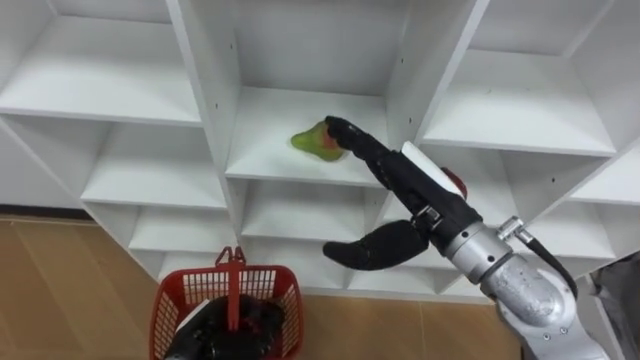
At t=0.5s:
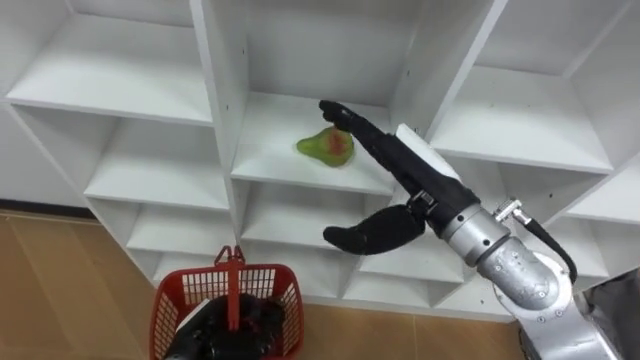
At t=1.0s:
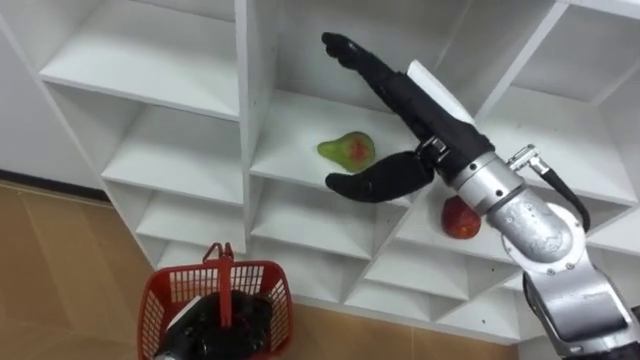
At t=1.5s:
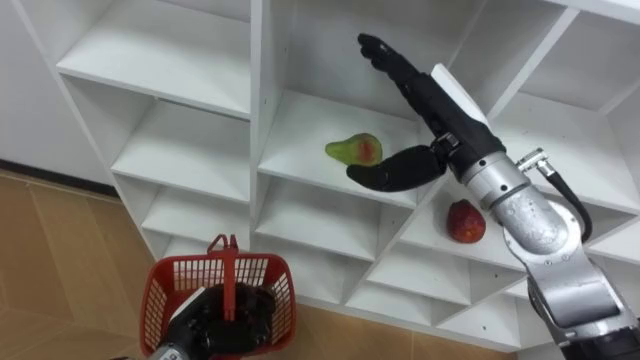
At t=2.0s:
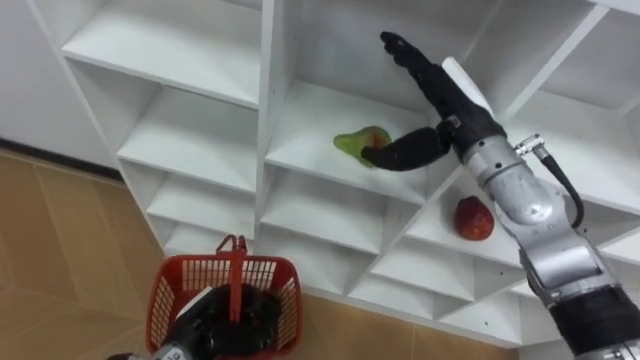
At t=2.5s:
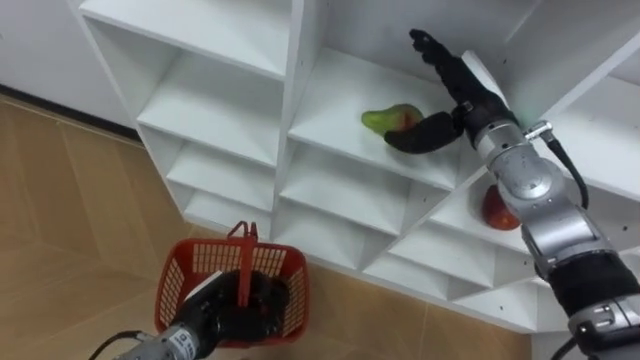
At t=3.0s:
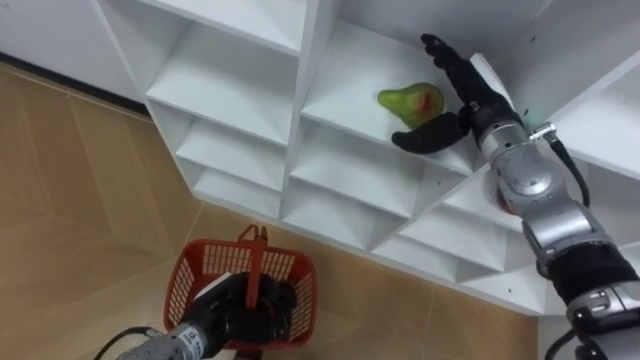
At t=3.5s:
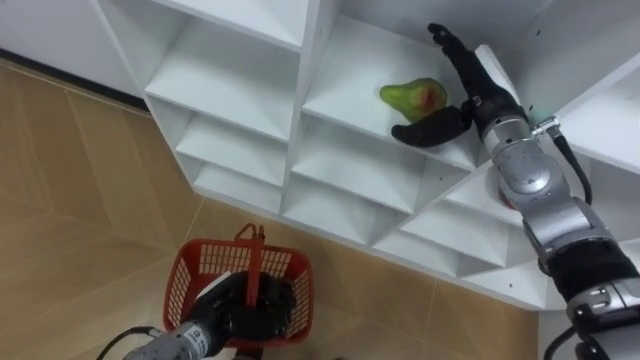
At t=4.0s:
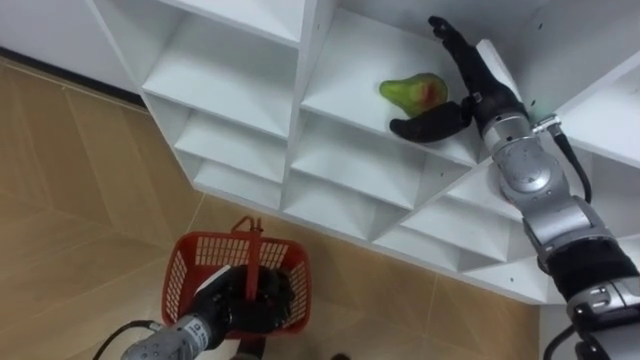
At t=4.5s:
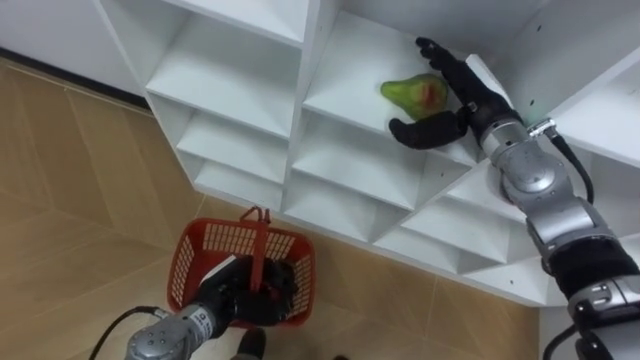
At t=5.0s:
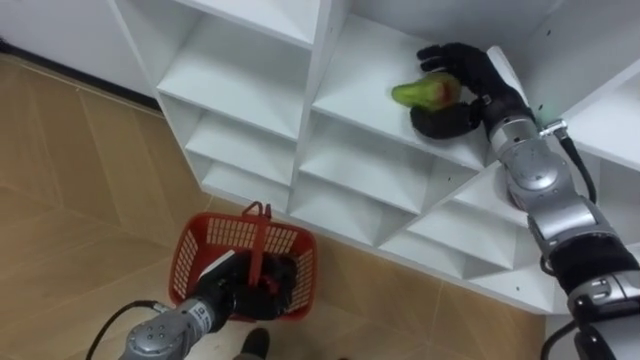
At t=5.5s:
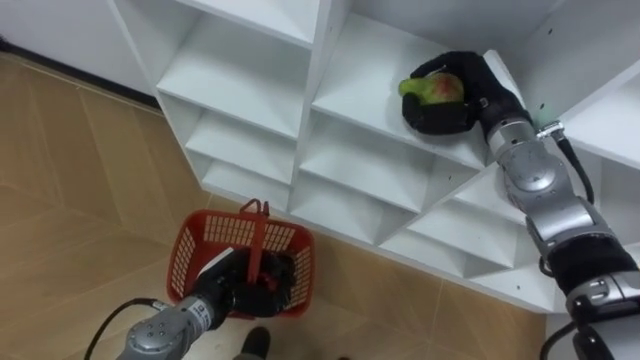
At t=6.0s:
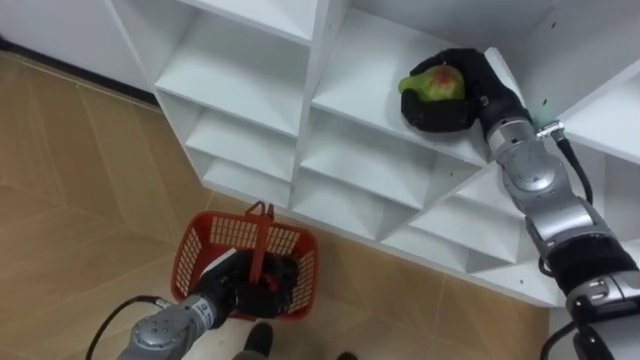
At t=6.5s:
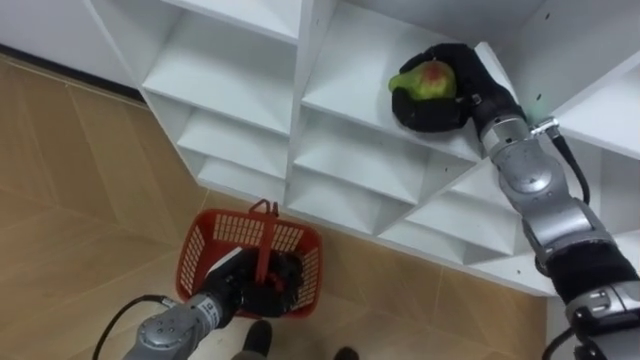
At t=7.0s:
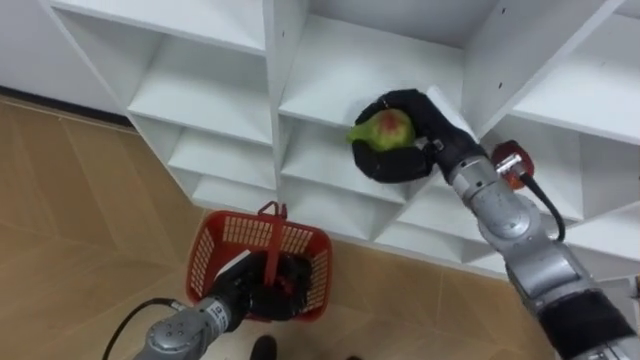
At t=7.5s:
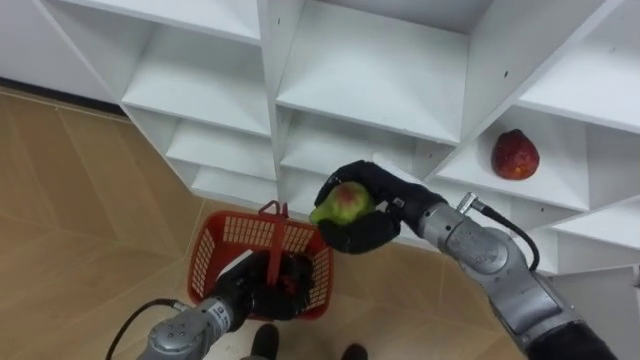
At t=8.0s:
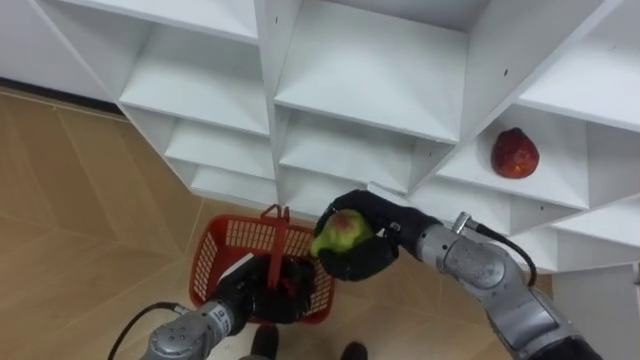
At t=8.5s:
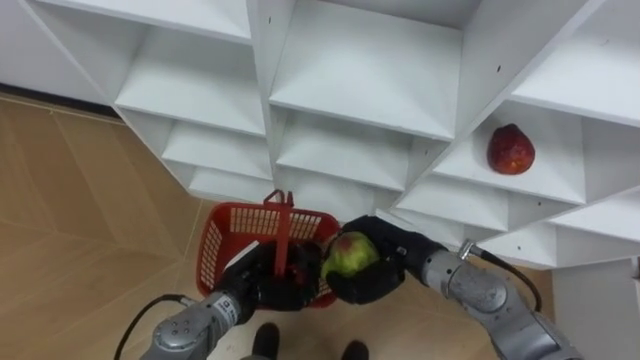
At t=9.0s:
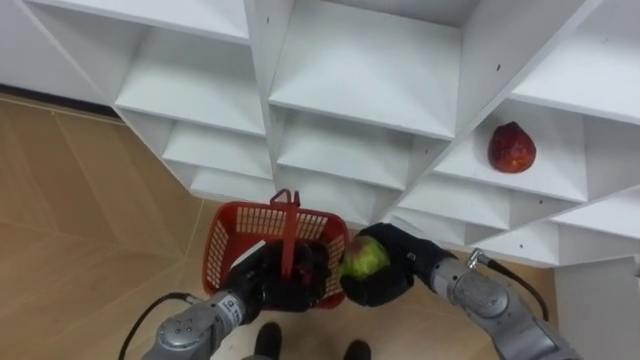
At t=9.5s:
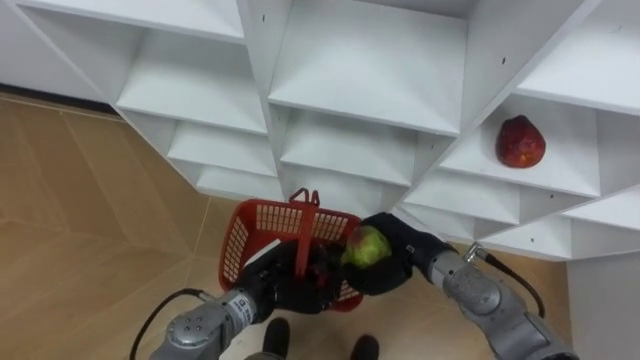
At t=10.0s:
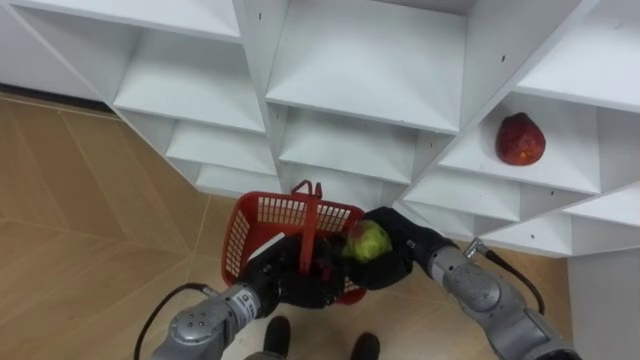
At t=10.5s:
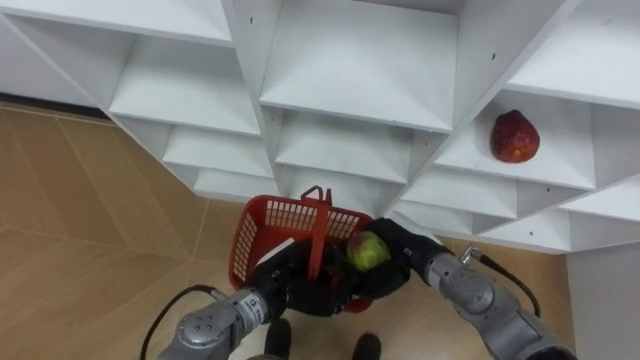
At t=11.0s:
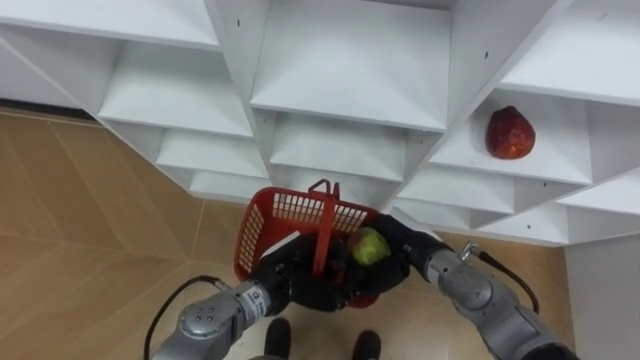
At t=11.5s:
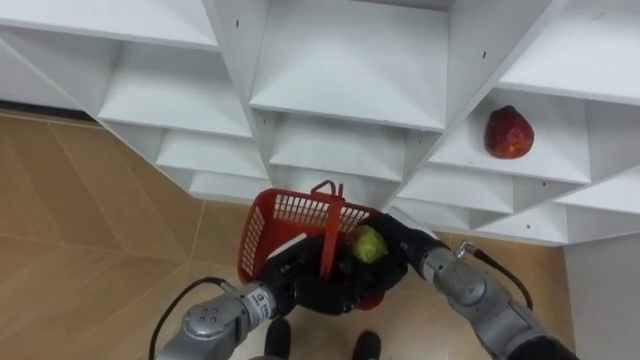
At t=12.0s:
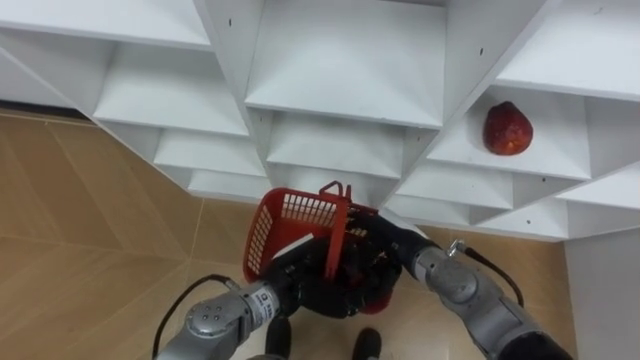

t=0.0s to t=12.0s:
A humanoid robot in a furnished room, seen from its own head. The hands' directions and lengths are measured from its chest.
Task of the whole recording: Hold the basket and collect the fruits from 3 different cells of the closet into it.
t=0.0s to t=2.0s: The right hand heads forward, covering roughly 10 cm.
t=2.0s to t=4.0s: The right hand ends up some 5 cm from where it was.
t=4.0s to t=6.0s: The right hand closes its fingers.
t=6.0s to t=8.0s: The right hand travels backward, to the left and downward by approximately 20 cm.
t=8.0s to t=10.0s: The right hand moves roughly 5 cm. Meanwhile the left hand changes place by approximately 5 cm.
t=10.0s to t=12.0s: The right hand opens.

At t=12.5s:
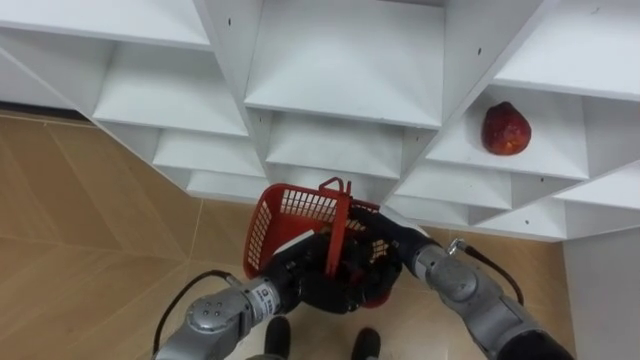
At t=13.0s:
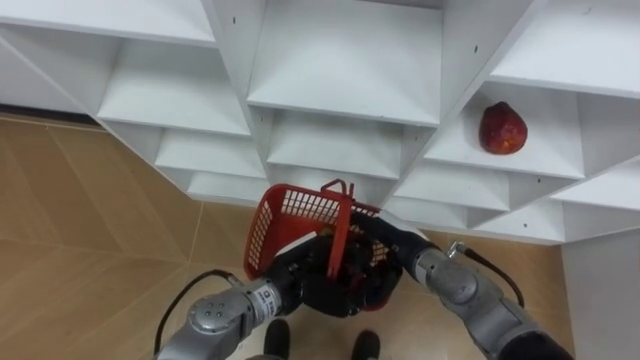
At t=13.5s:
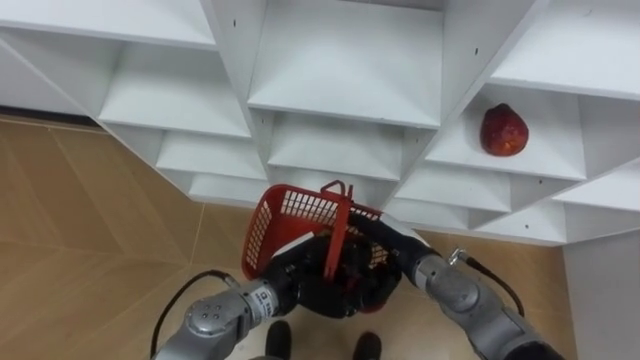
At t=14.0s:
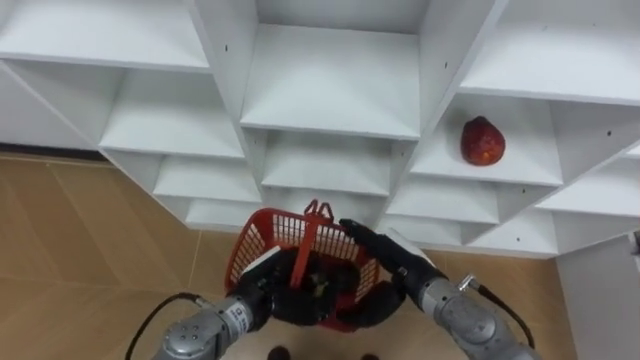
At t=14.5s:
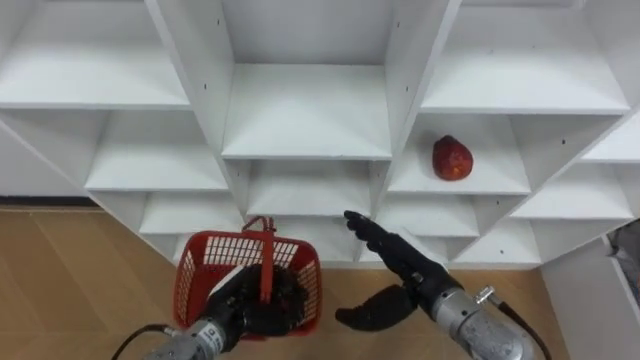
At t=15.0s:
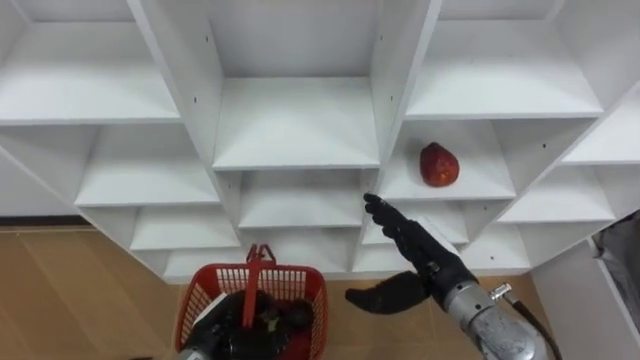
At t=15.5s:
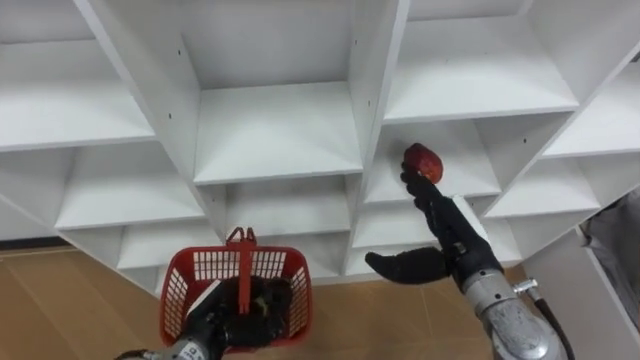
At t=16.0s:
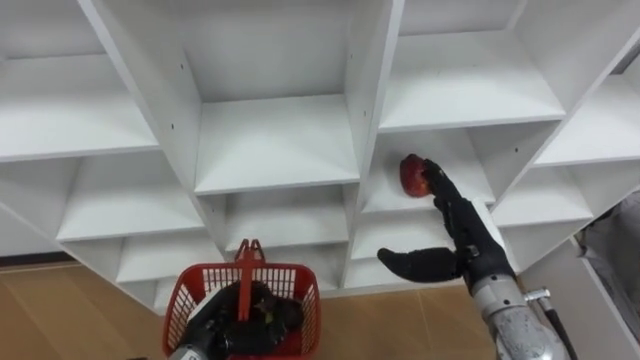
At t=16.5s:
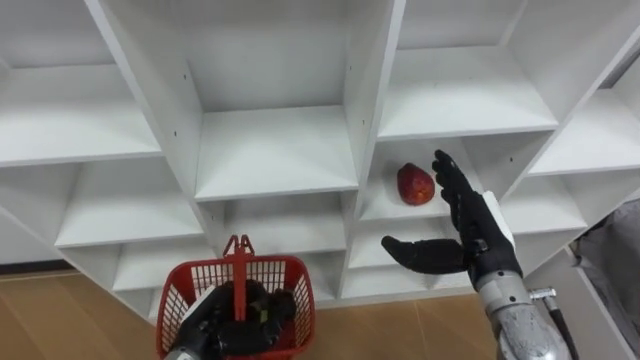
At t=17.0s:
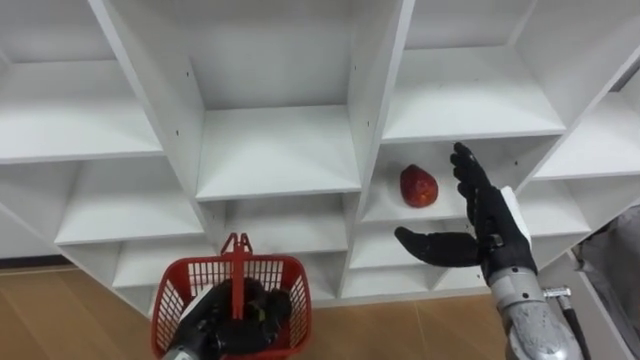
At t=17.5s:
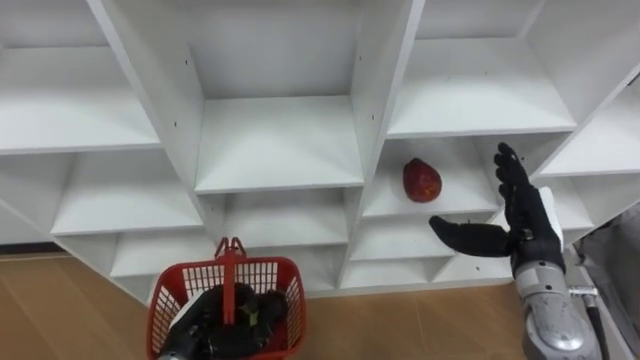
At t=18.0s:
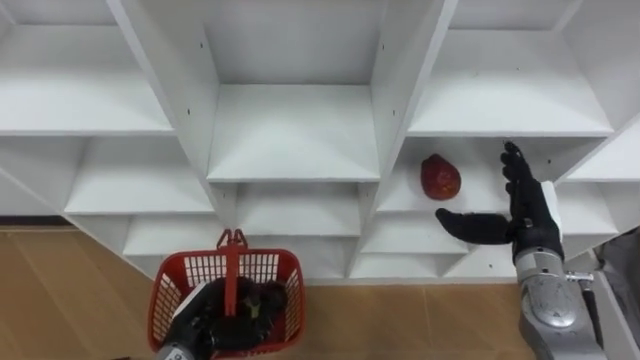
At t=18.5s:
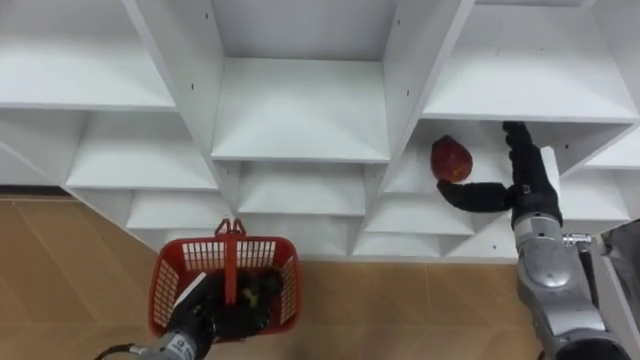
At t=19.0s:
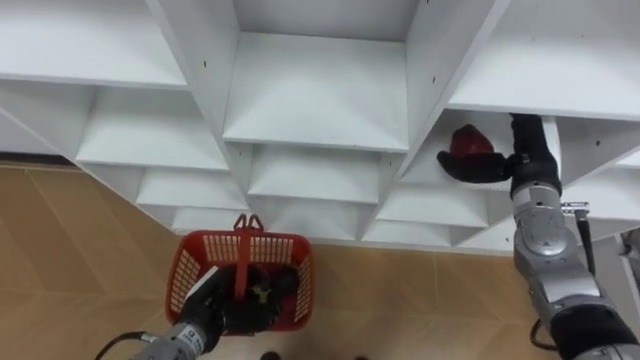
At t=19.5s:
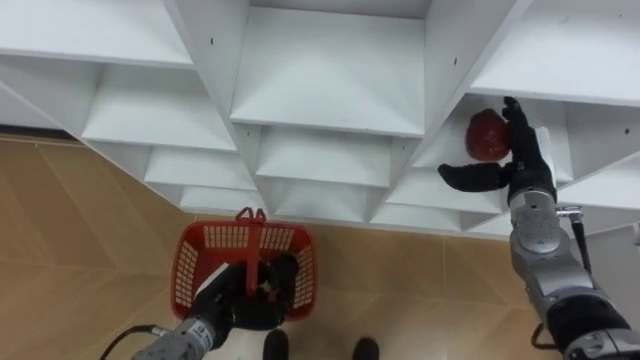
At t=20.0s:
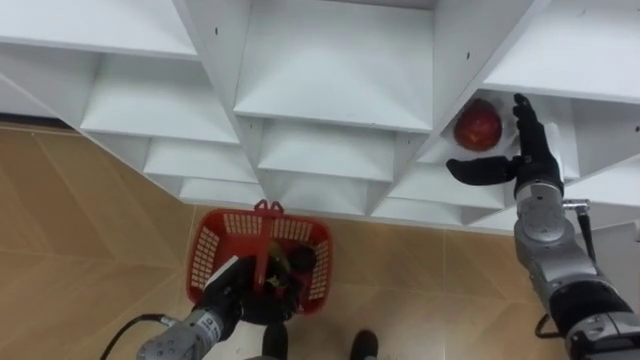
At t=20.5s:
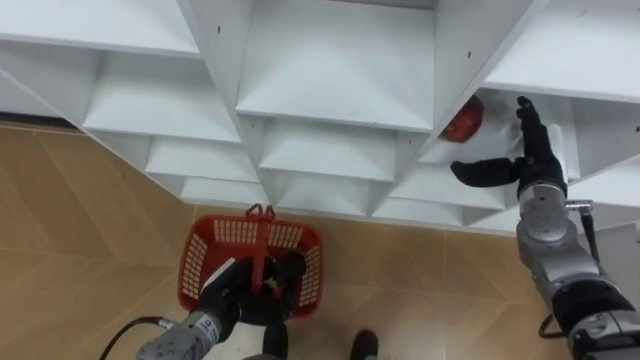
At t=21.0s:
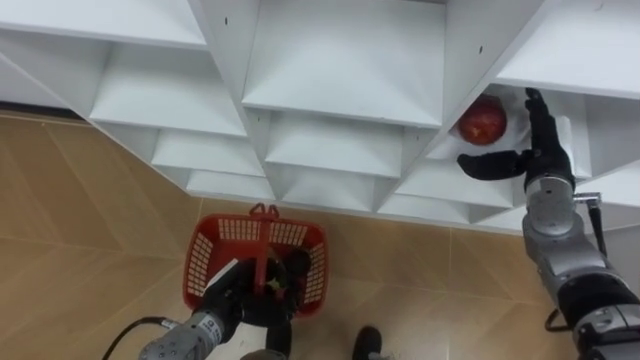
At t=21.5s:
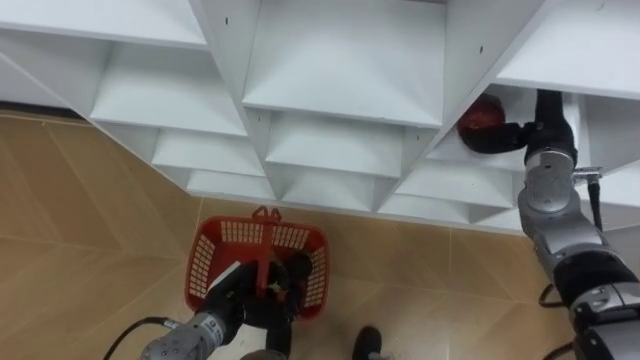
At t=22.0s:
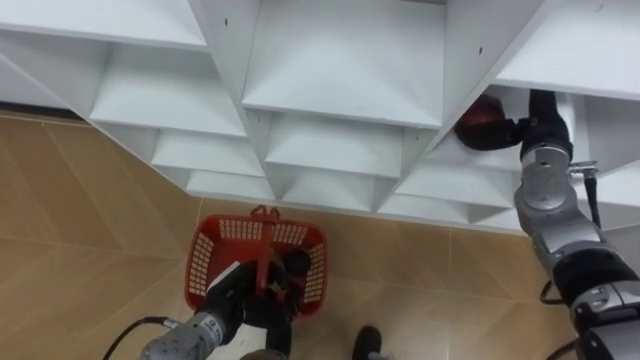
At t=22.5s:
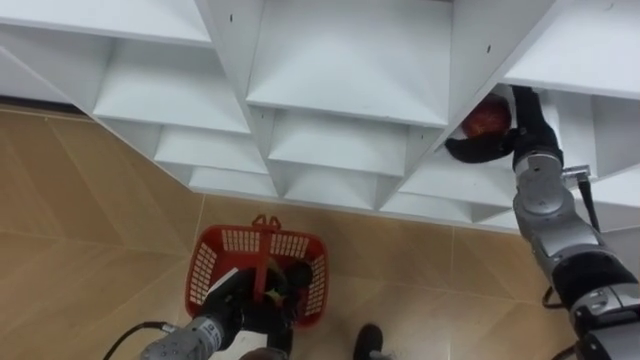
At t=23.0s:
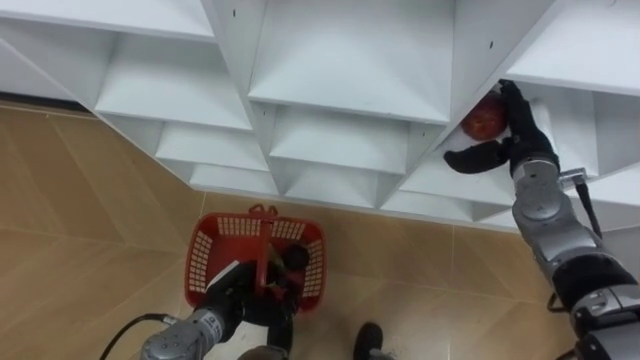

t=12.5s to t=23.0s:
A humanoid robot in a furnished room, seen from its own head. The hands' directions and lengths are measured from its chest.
Task of the whole recording: Hold the basket and collect the fruits from 3 different cells of the closet into it.
t=12.5s to t=14.5s: The right hand goes about 5 cm backward, while the left hand moves to the left and downward, roughly 10 cm.
t=14.5s to t=16.5s: The right hand moves to the right, some 10 cm.
t=16.5s to t=19.0s: The right hand shifts about 10 cm forward and to the right.
t=21.0s to t=23.0s: The hands make only small movements.
